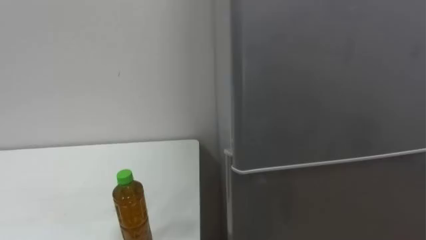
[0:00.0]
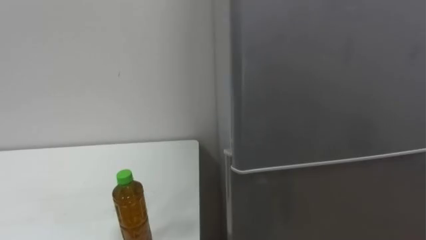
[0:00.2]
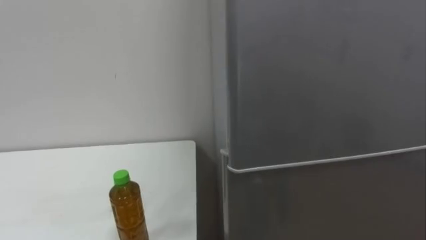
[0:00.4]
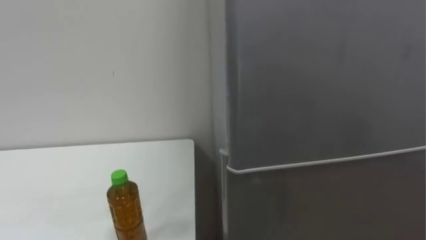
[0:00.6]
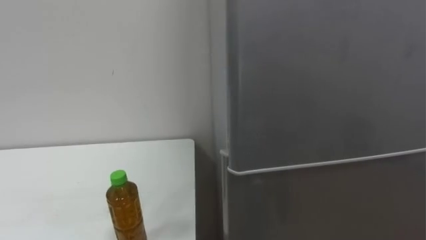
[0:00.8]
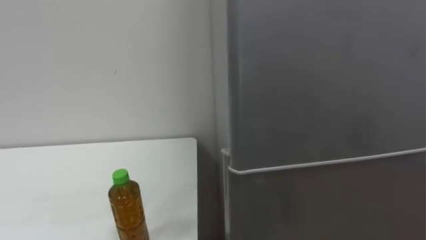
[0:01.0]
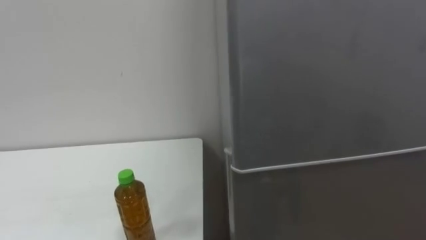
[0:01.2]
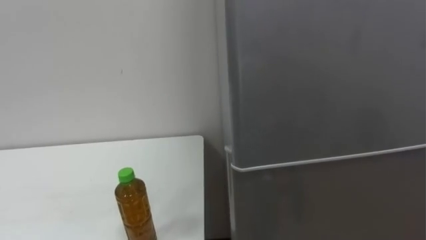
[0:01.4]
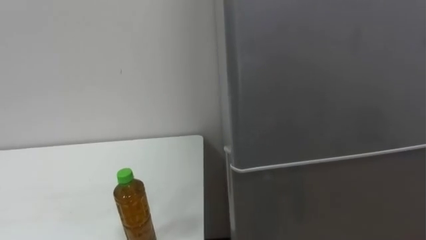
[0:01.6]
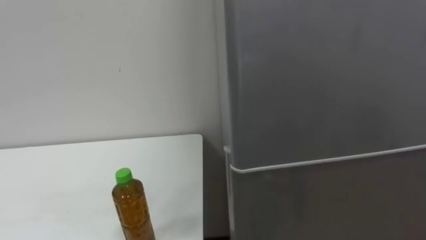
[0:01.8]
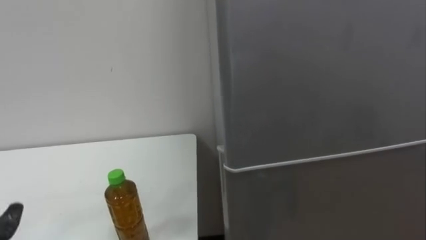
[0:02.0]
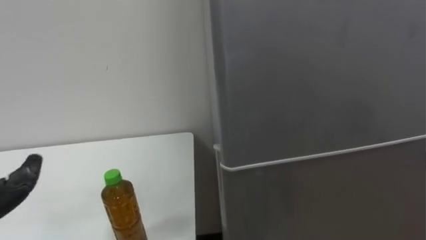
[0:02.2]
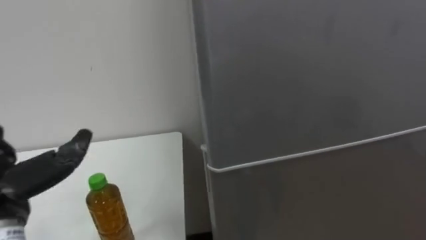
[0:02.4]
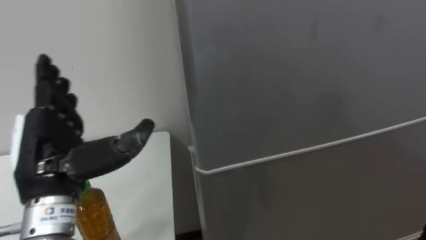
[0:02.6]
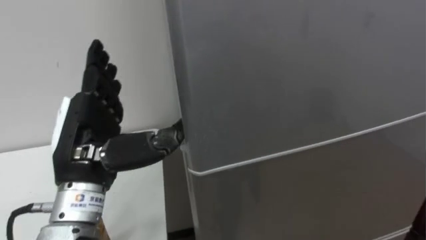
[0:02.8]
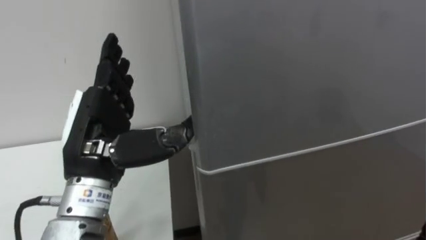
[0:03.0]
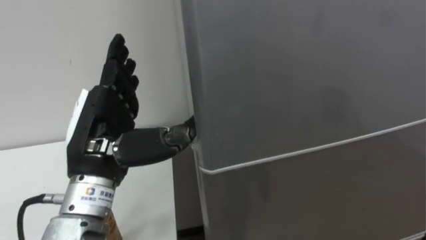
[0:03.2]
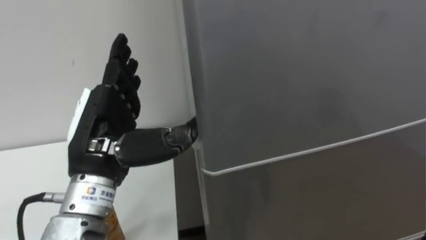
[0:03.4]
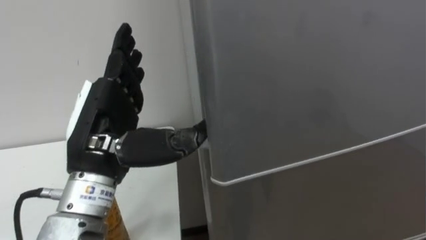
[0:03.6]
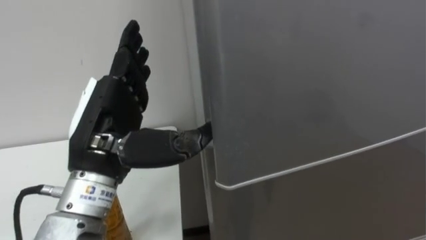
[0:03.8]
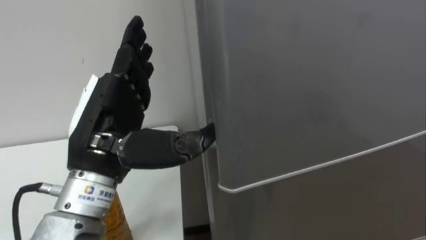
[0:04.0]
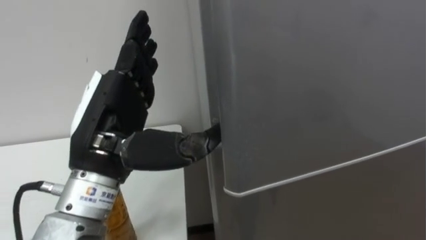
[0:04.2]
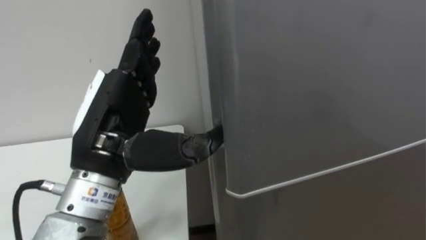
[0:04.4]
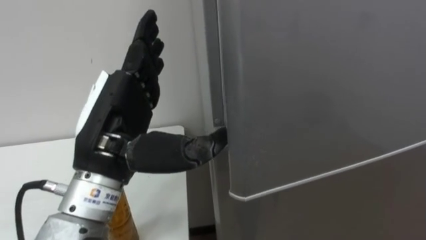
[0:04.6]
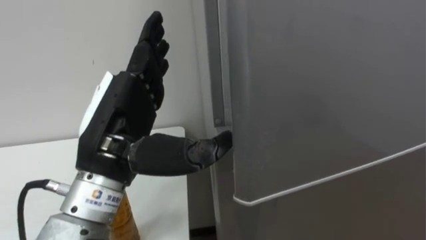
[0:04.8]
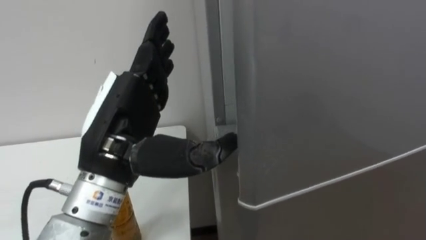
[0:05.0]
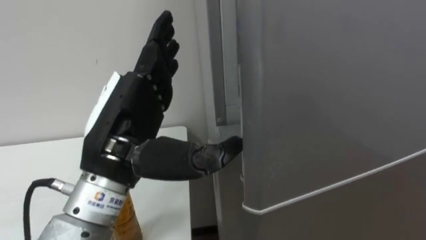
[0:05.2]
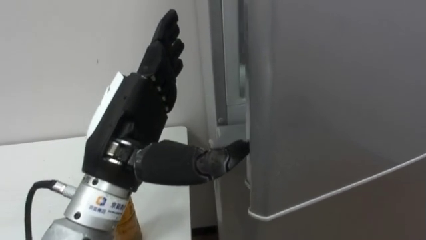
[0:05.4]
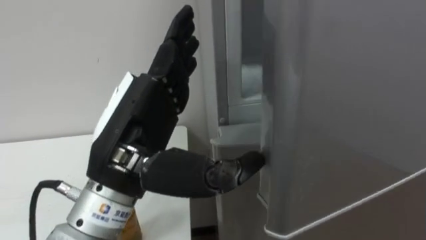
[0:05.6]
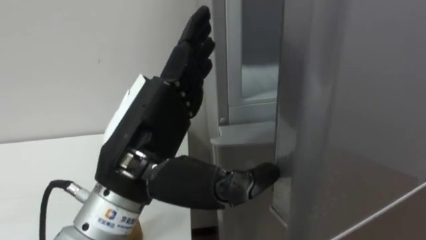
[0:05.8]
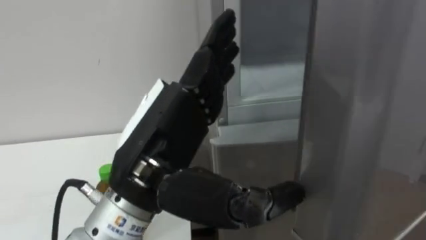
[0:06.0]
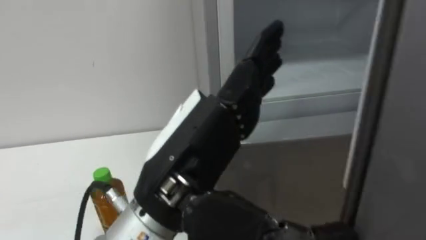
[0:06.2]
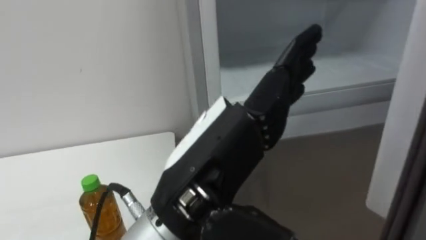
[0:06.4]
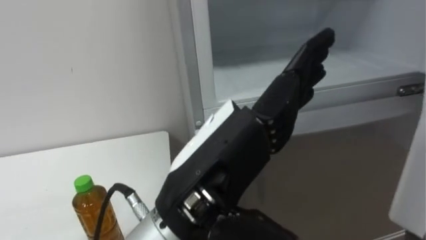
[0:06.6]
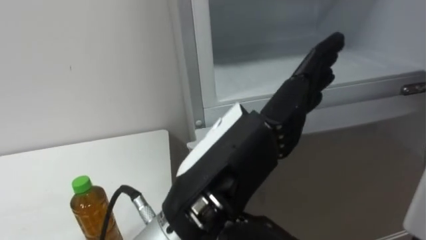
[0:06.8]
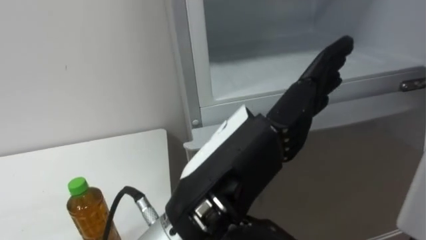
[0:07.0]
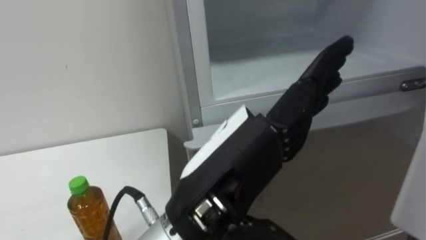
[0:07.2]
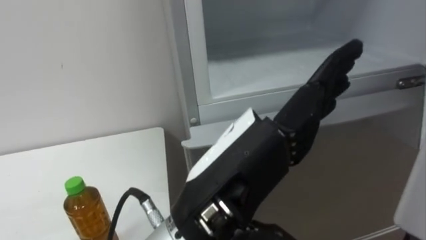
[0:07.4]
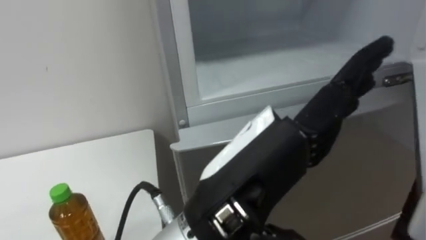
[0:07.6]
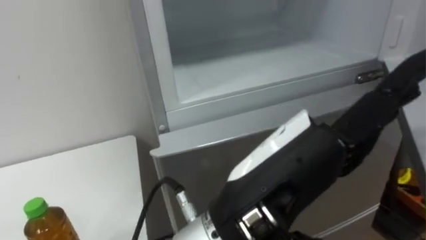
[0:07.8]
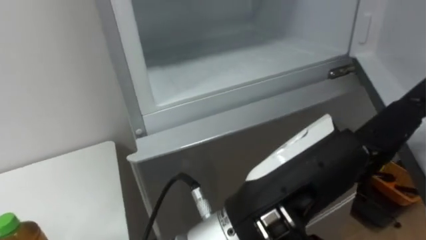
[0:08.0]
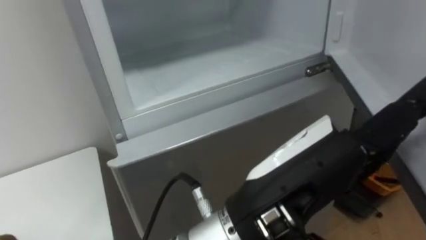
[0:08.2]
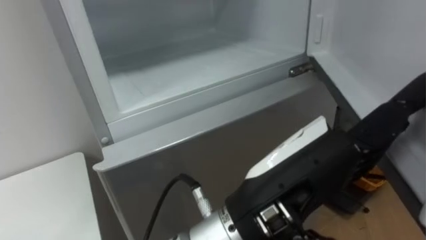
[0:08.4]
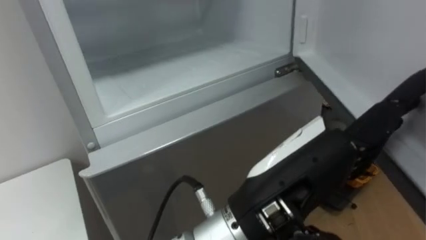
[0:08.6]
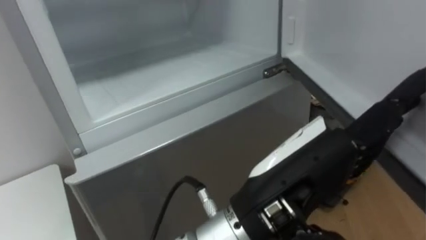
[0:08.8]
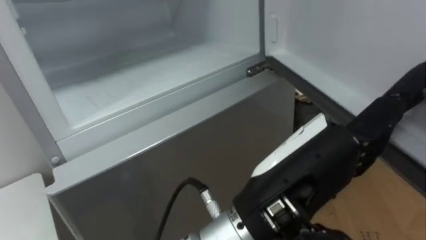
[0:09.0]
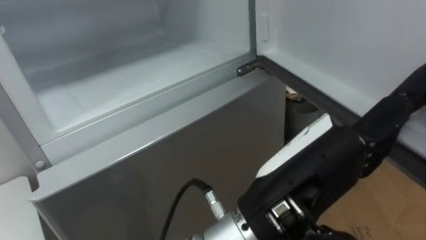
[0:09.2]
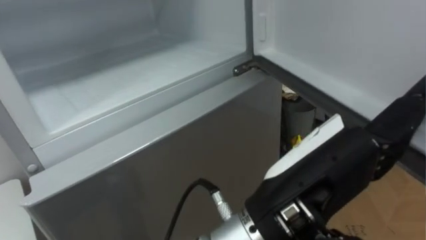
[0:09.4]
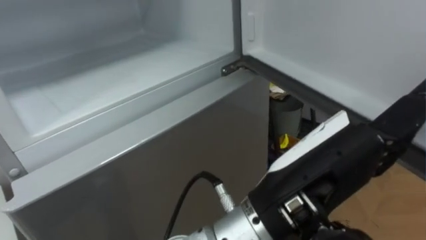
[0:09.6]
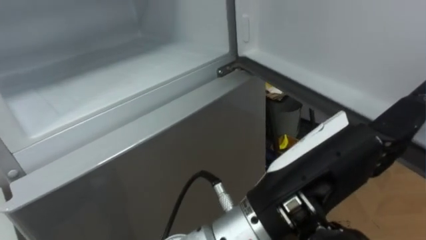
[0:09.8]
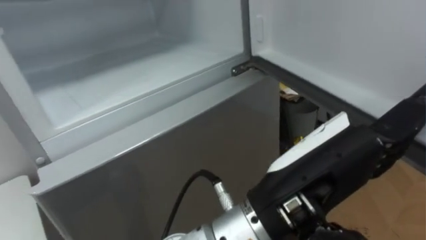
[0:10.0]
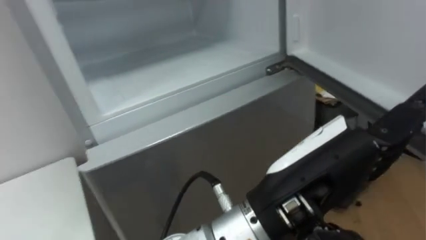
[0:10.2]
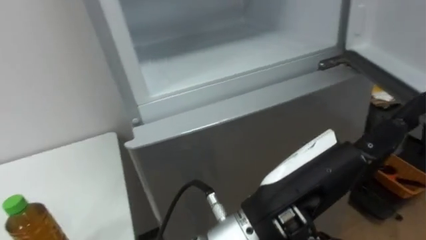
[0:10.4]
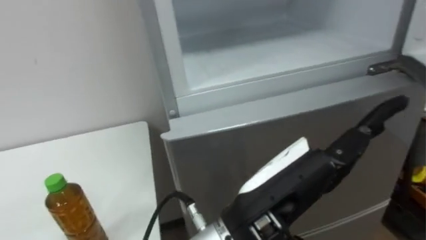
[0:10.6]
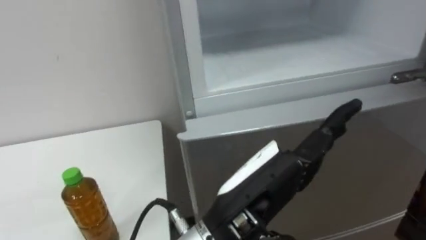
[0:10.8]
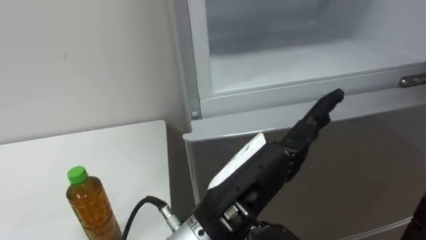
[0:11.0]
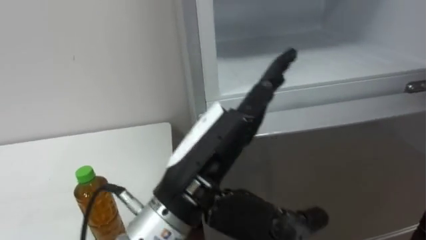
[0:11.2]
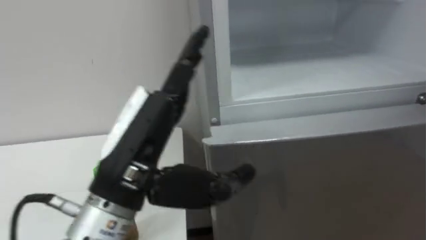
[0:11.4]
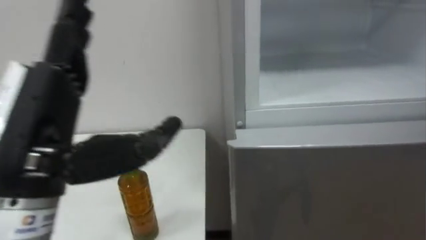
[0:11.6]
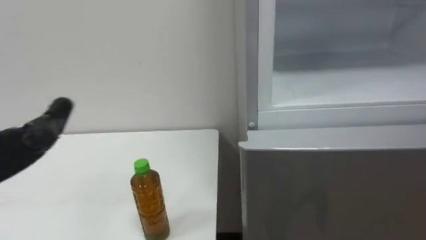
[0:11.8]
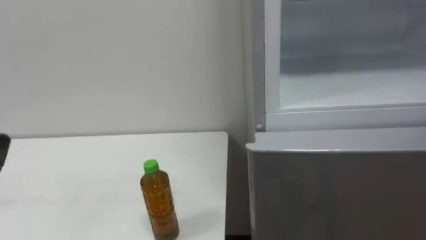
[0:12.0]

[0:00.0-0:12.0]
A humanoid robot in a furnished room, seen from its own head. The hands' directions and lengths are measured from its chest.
Task of the whole recording: Open the upper refrigerator door, put the drink from the table into the refrigerator, and then close the refrigerator door.
0:04.4 to 0:06.0: The left hand goes approximately 5 cm to the right.
0:06.0 to 0:07.6: The left hand moves to the right, approximately 10 cm.

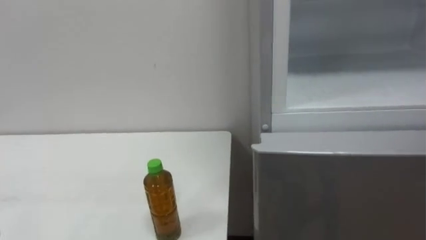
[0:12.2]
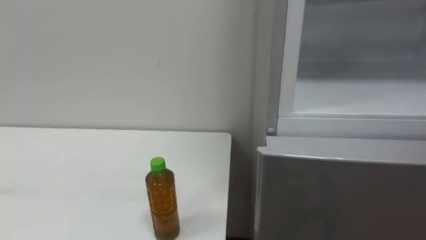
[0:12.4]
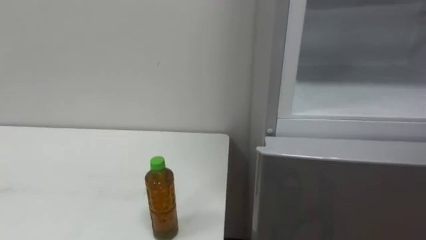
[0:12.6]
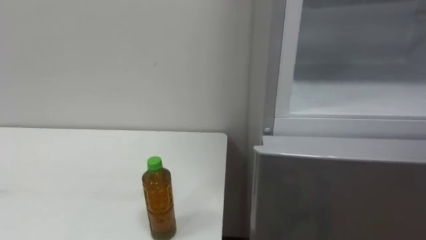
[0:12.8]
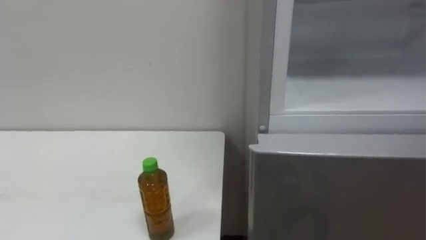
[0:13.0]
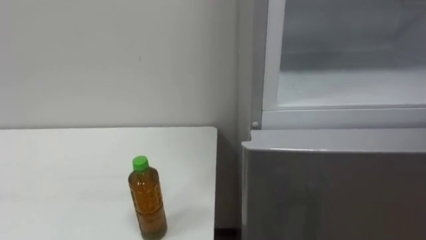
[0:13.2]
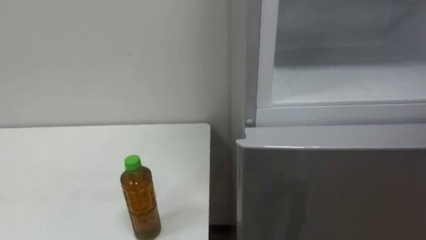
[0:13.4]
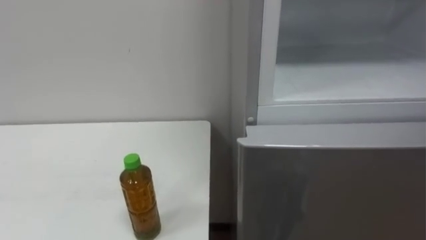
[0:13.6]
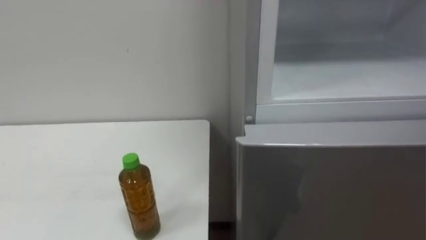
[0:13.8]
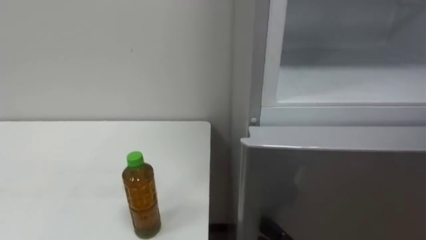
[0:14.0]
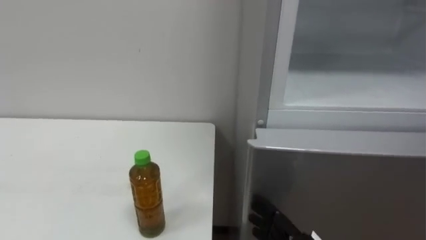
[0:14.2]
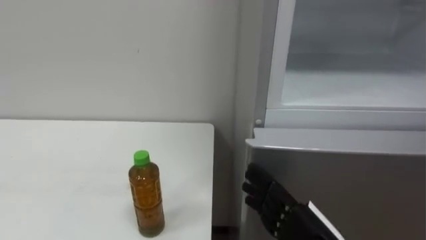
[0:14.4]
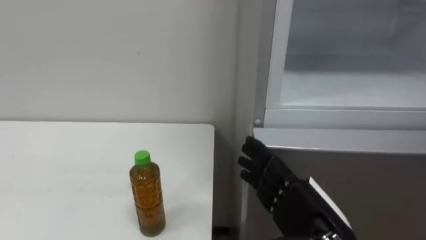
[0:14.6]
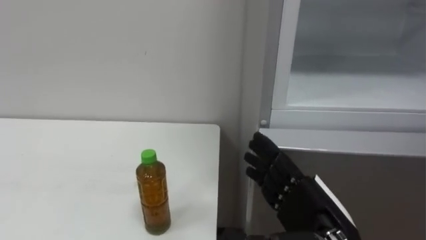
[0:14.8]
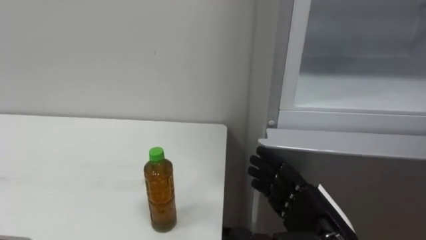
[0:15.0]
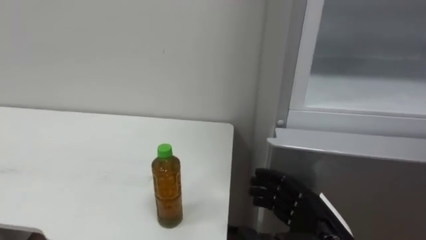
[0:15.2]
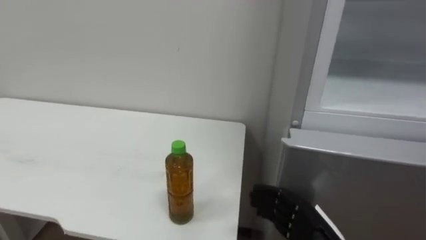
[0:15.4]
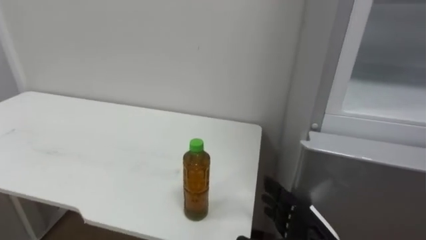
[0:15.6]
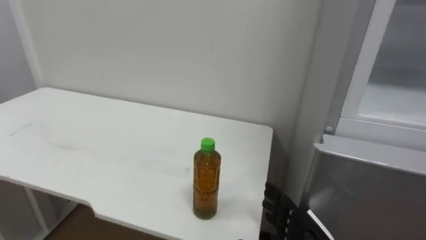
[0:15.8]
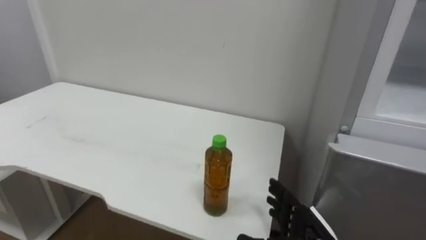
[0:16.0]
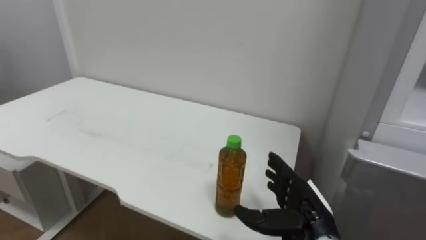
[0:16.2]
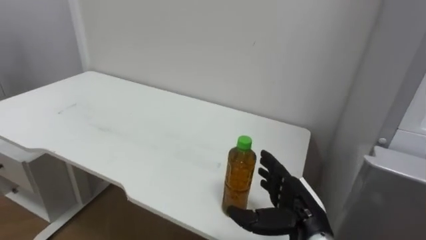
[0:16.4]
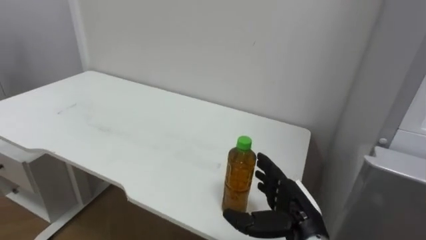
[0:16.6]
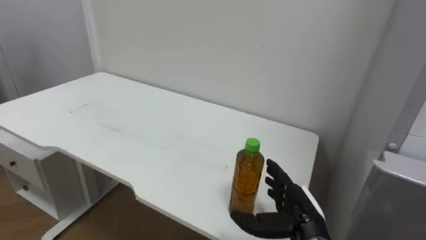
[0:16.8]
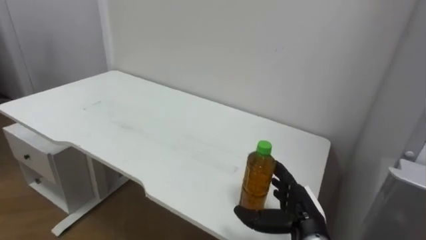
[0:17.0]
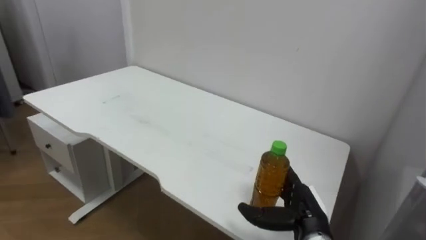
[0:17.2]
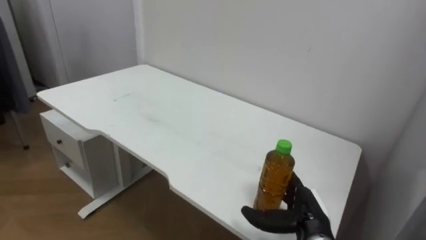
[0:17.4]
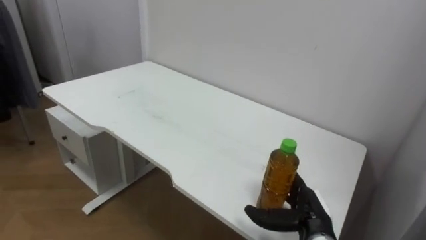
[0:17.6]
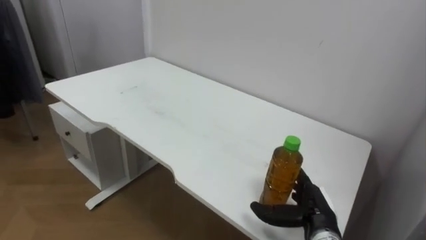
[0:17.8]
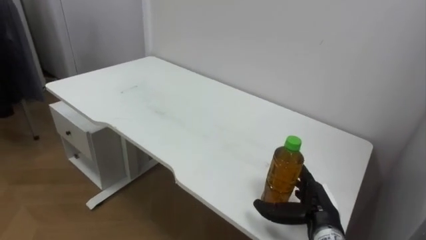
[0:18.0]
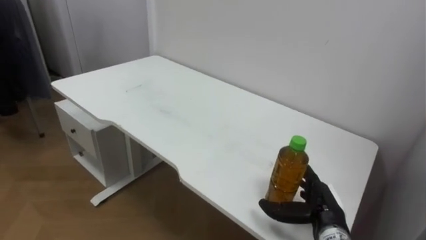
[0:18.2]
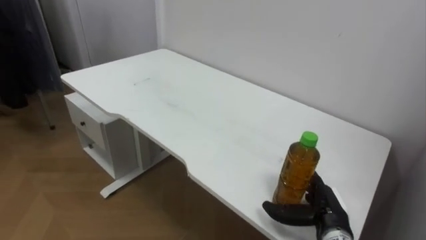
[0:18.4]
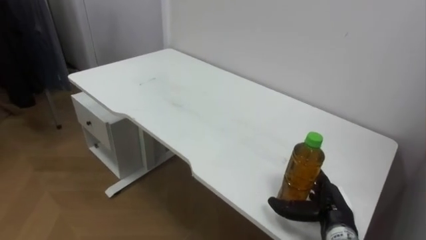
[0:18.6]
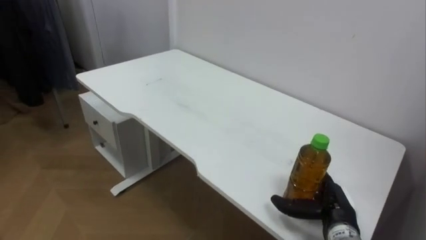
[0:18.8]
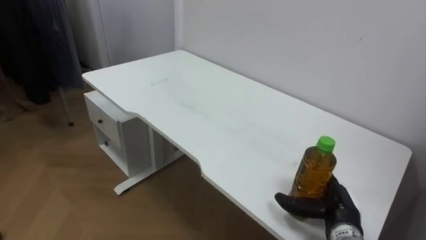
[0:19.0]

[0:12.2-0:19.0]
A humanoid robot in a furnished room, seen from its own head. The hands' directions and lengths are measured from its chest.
Task of the whole recording: Open the upper refrigerator door, put the drink from the table into the refrigerator, and then close the refrigerator door.
0:15.0 to 0:16.2: The right hand shifts roughly 10 cm forward and downward.
0:17.6 to 0:19.0: The right hand goes some 5 cm to the right.
